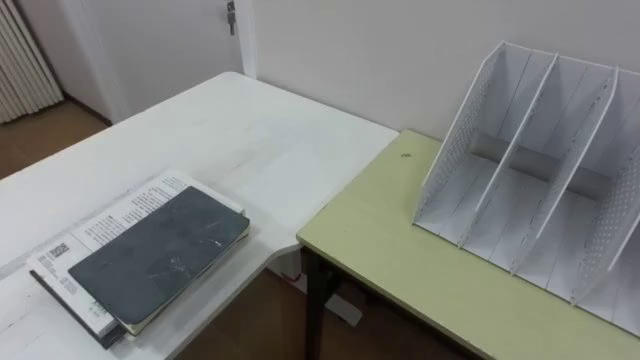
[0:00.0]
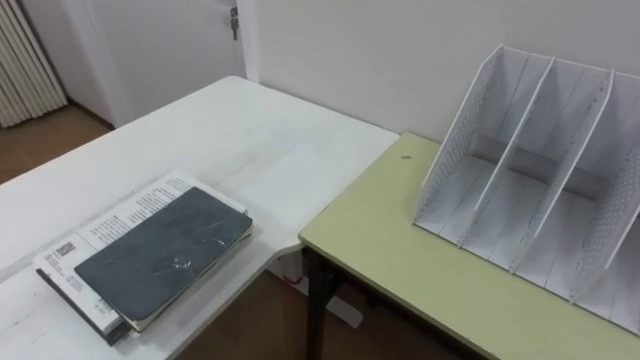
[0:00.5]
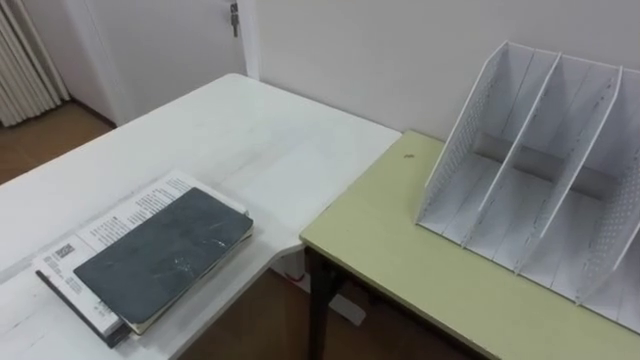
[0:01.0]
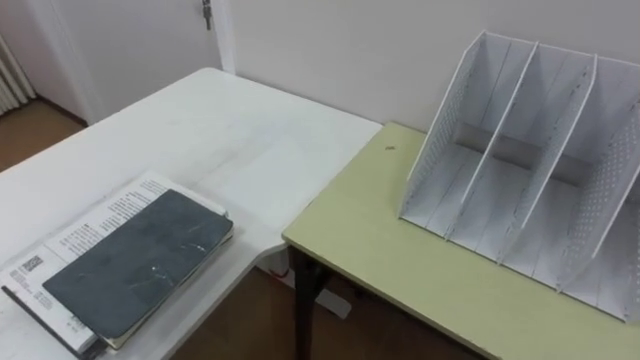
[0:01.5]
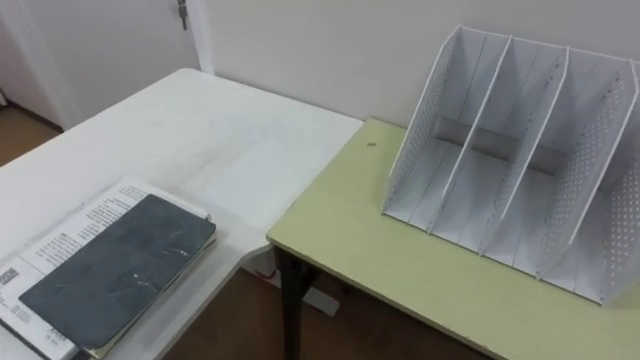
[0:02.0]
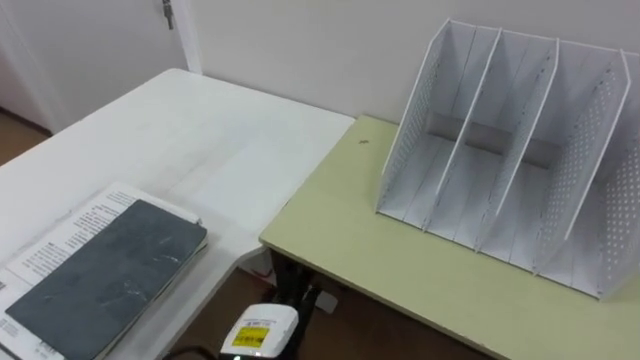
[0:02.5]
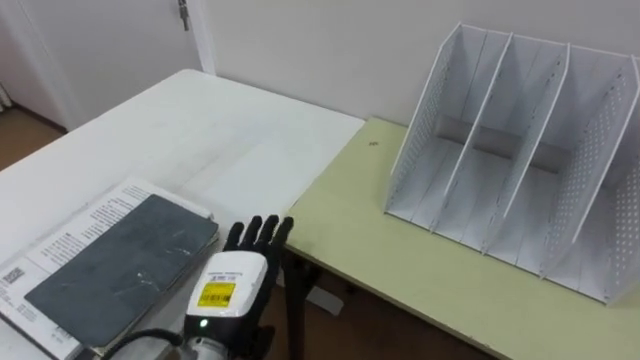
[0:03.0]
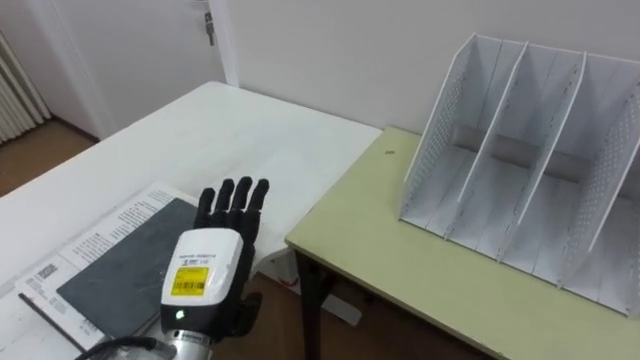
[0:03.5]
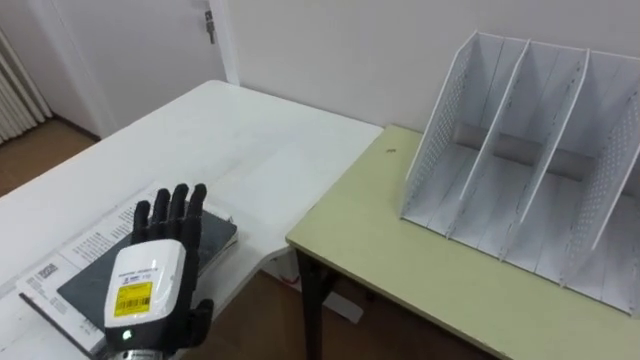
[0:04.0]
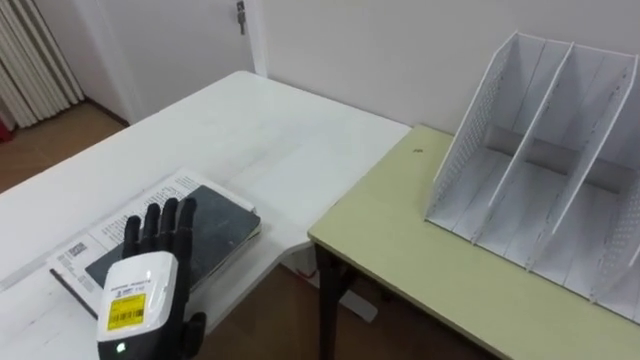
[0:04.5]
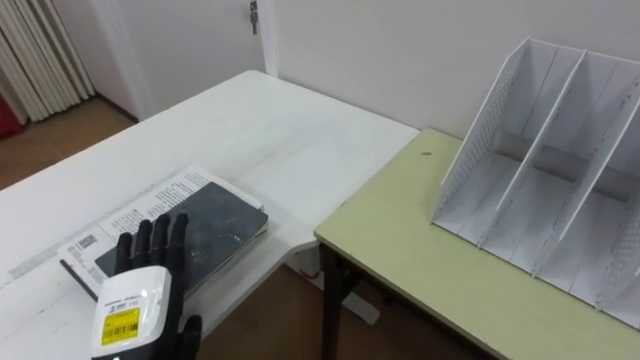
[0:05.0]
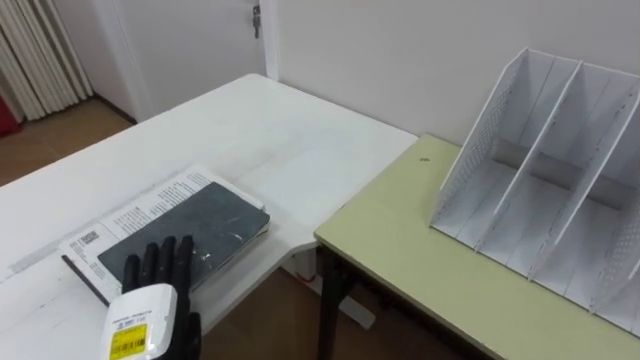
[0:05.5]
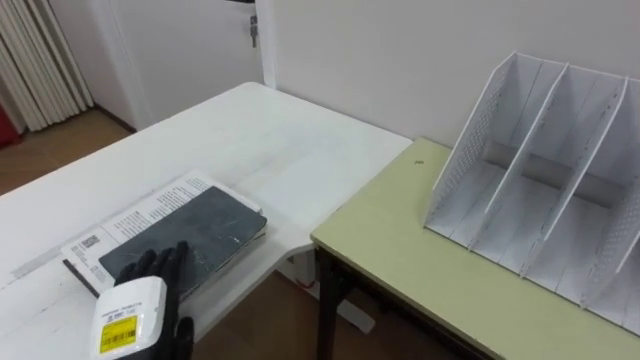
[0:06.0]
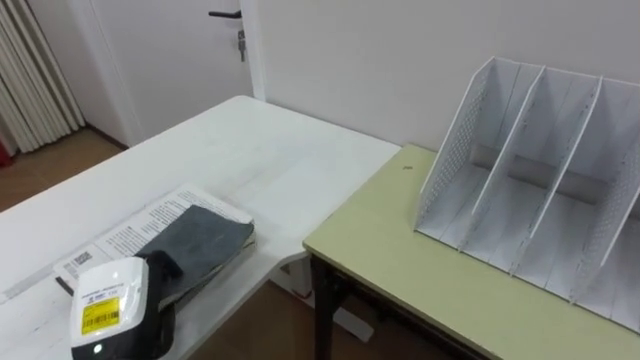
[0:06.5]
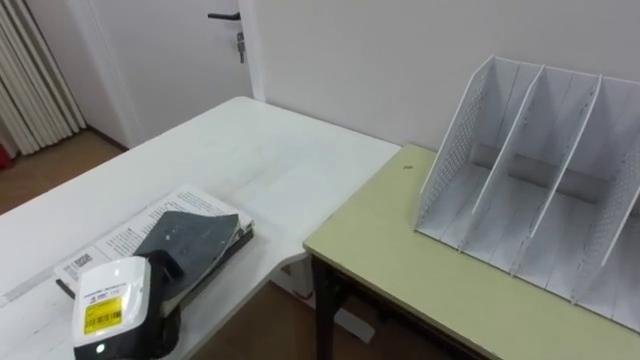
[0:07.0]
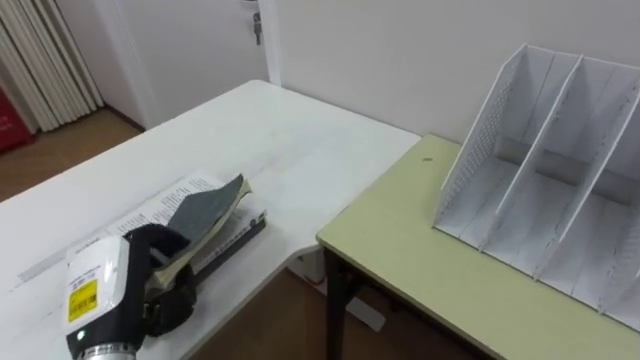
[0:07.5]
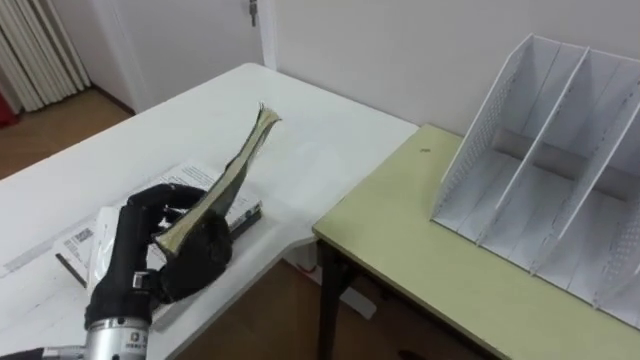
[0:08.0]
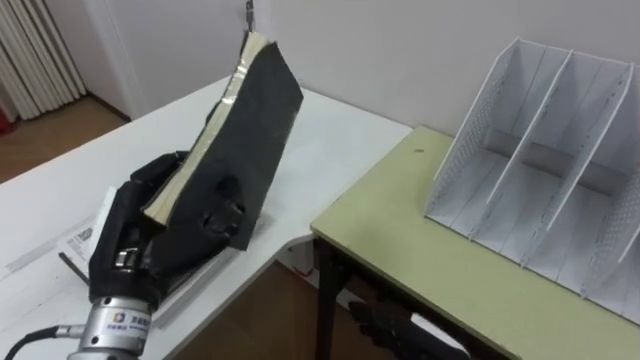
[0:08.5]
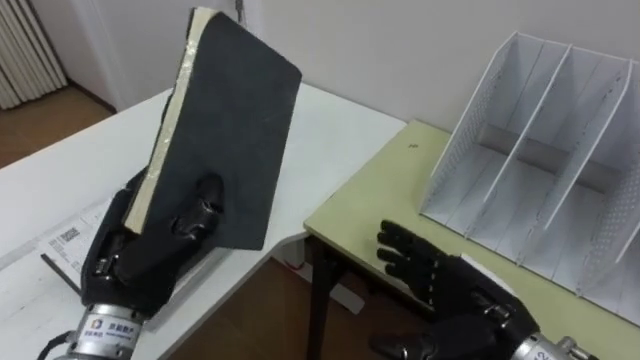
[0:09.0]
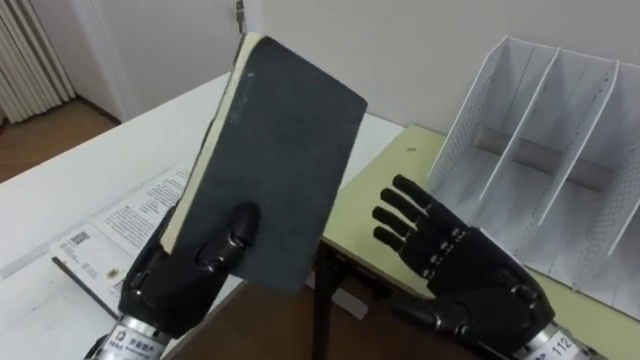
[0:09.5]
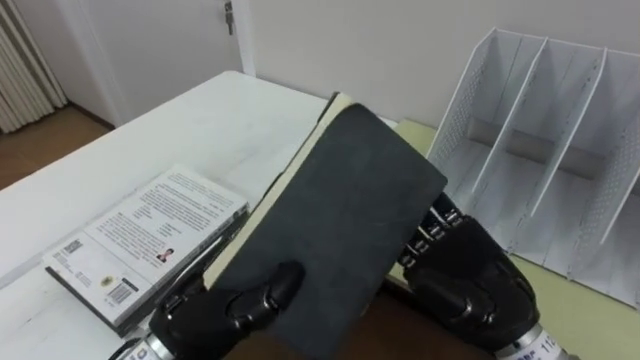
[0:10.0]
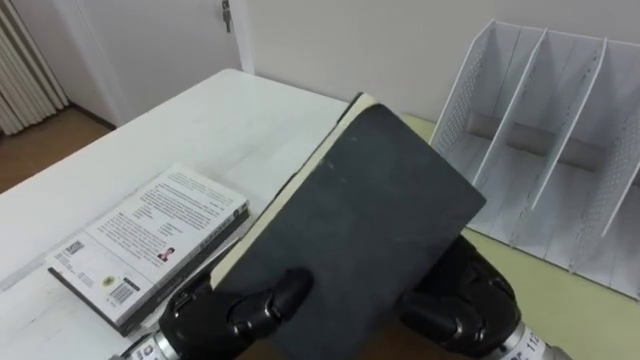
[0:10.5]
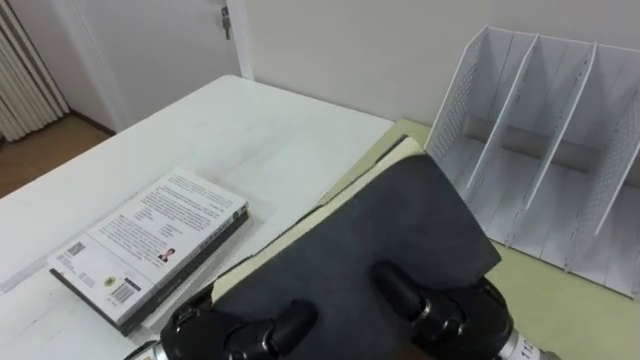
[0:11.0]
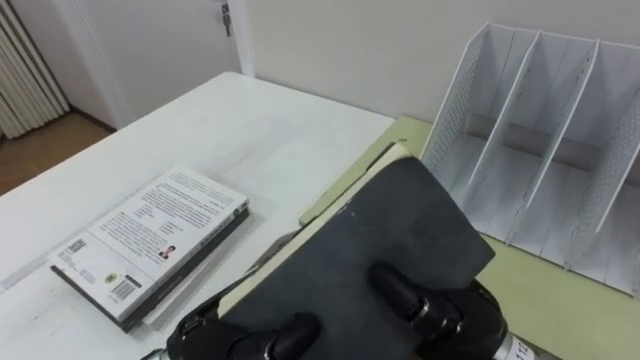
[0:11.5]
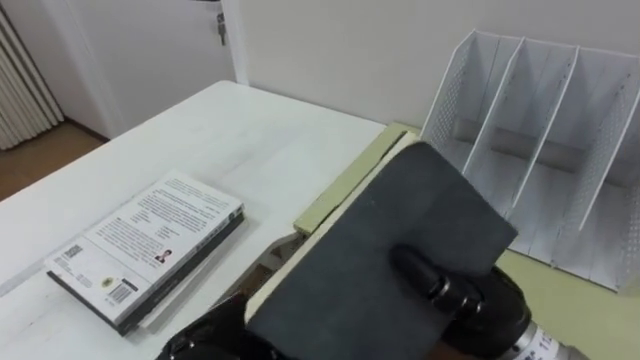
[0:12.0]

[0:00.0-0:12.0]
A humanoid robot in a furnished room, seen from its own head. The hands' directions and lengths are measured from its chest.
Task of the whole recording: Put the books on the table onto the bookshelf.
0:04.0 to 0:06.0: The left hand shifts some 5 cm downward.
0:06.0 to 0:08.0: The left hand heads upward, covering approximately 10 cm, and closes its fingers.
0:08.0 to 0:10.0: The left hand is displaced to the right by roughly 10 cm.
0:10.0 to 0:12.0: The right hand closes.

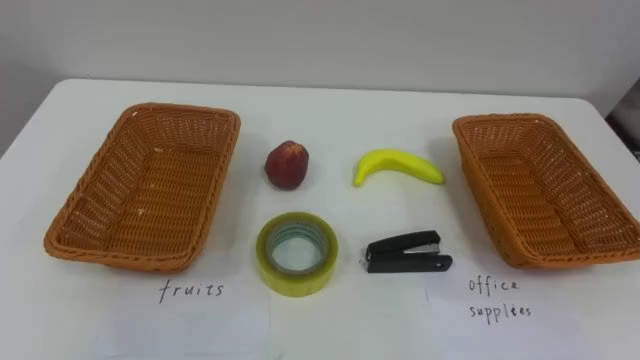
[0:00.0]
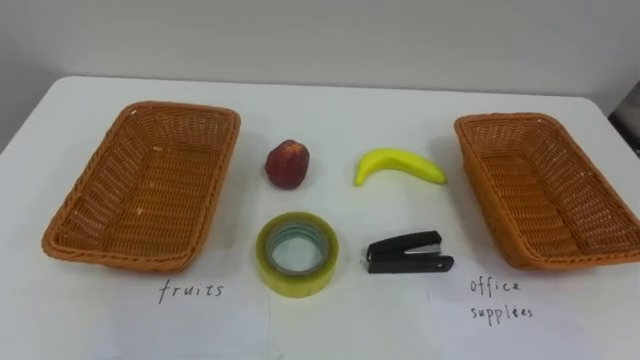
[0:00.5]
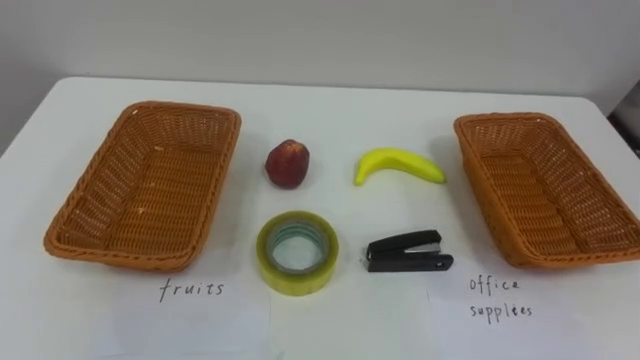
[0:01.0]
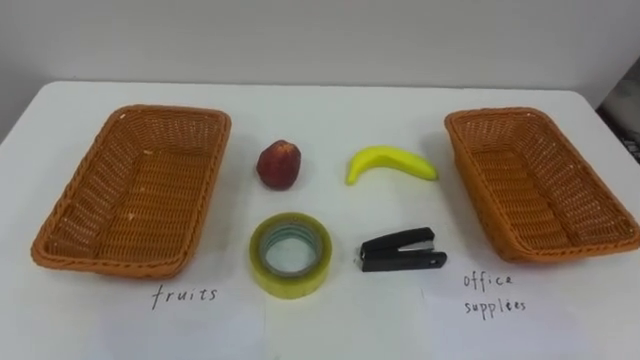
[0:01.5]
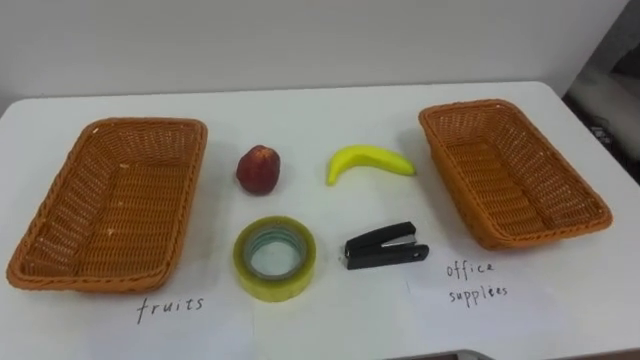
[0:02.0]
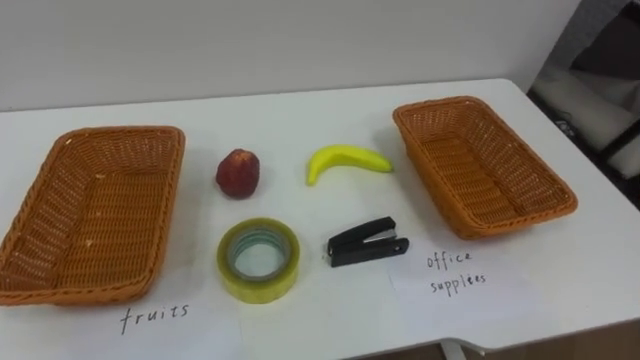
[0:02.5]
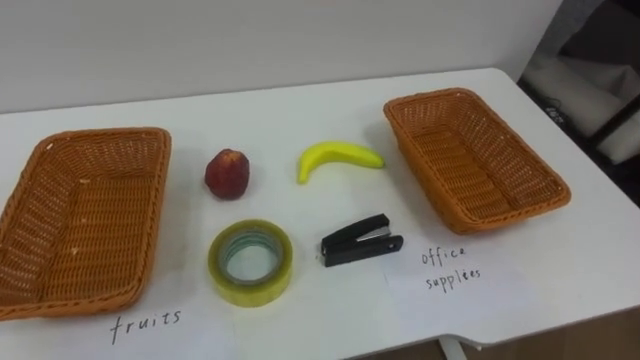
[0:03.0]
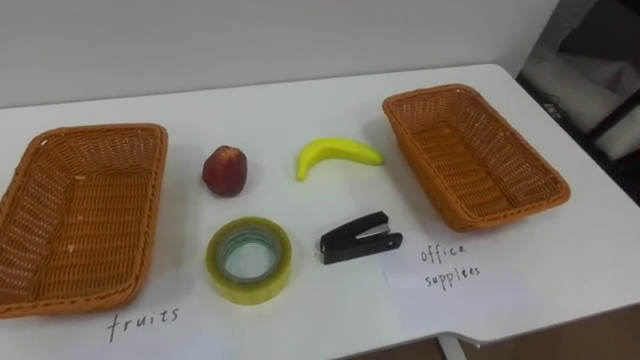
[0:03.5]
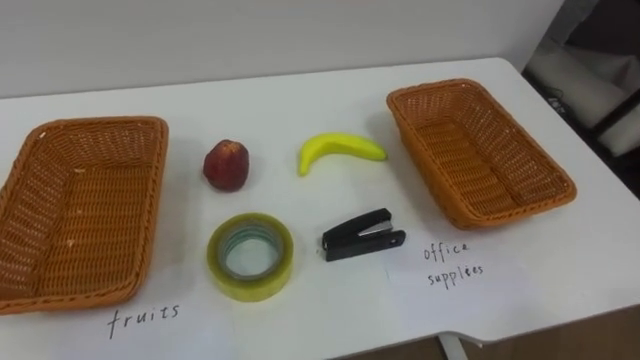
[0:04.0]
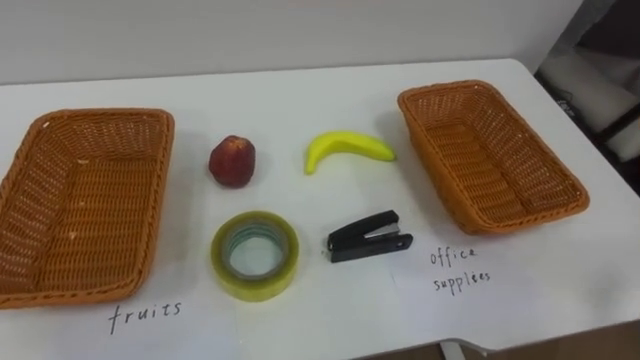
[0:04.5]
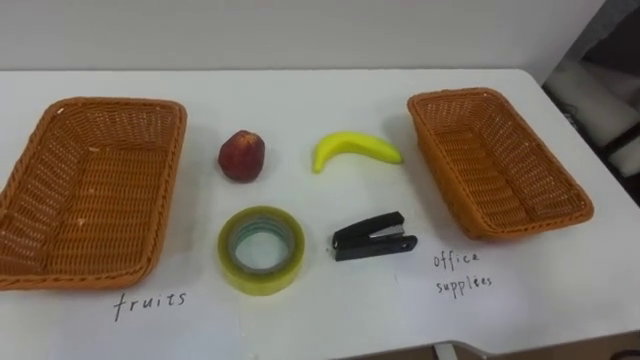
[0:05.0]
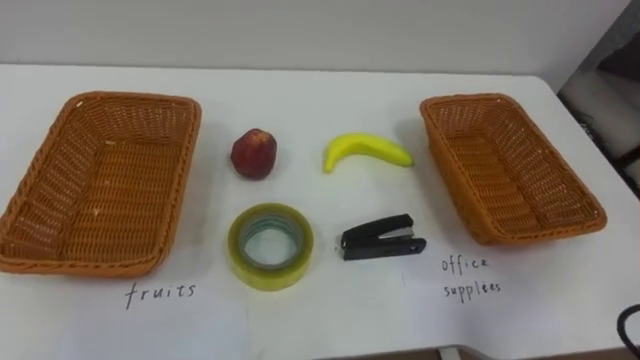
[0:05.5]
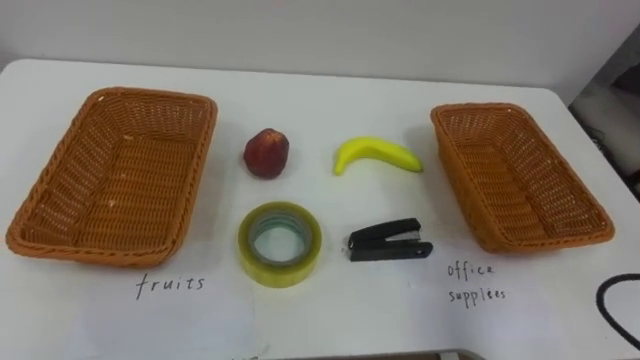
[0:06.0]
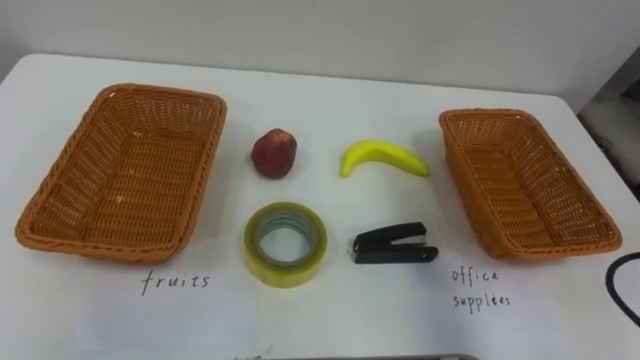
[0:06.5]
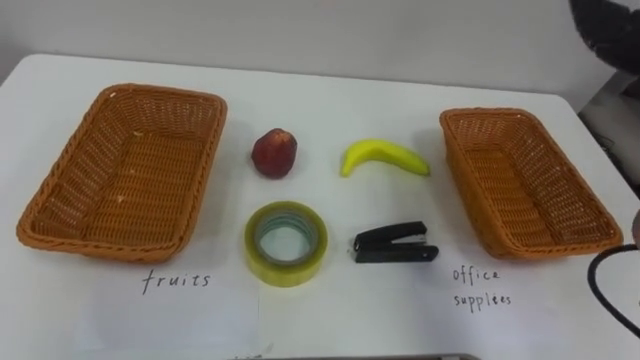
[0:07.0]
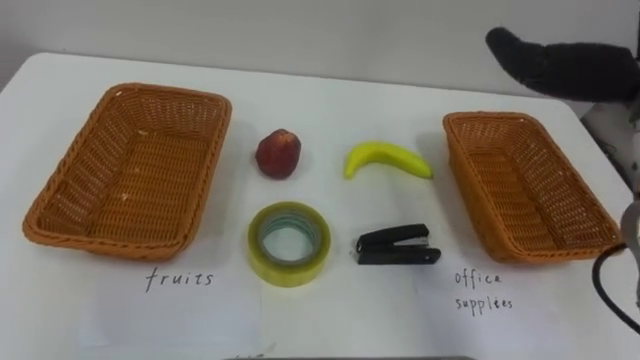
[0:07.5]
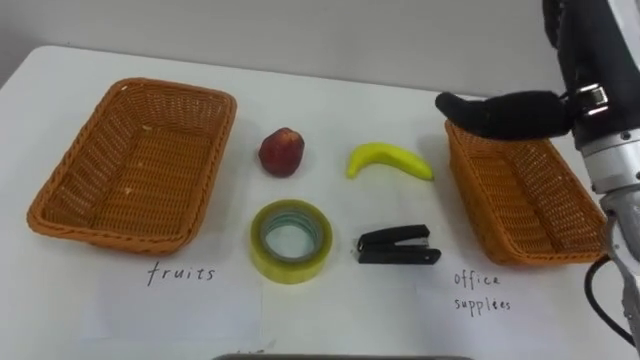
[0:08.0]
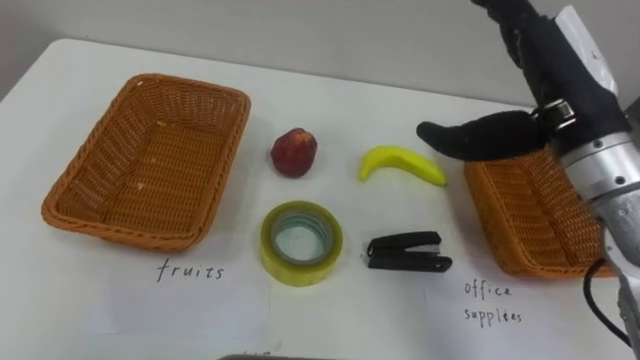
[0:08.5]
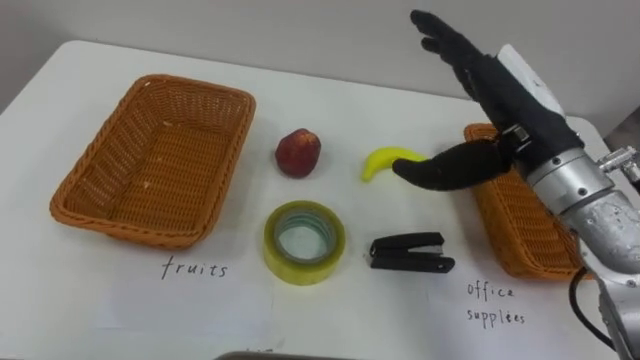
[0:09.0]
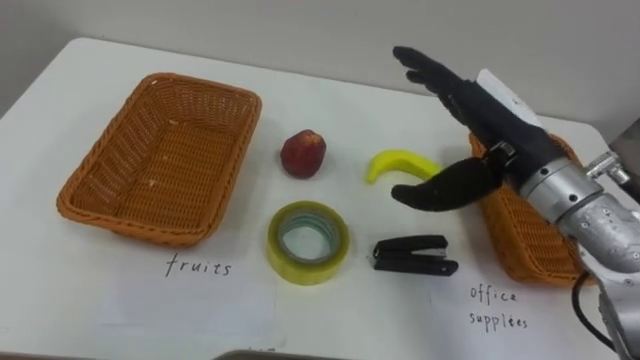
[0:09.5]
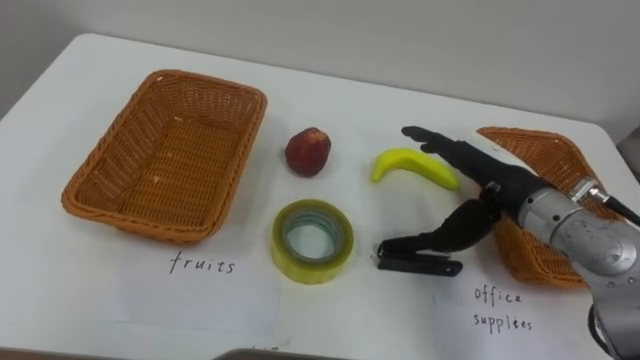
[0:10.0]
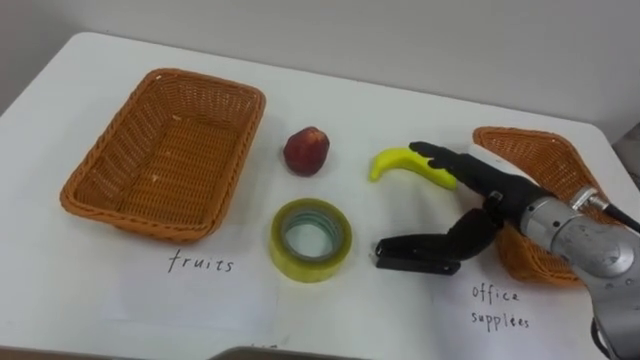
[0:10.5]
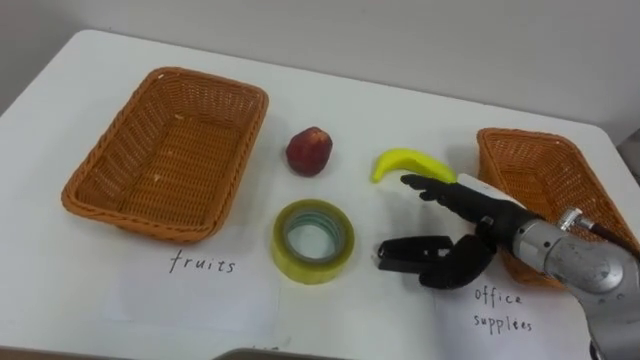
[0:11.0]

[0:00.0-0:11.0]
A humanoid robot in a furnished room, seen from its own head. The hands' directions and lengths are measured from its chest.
Task of the whole recording: Separate the items on the table and place them into the two baskets.
0:09.0 to 0:11.0: The right hand heads downward, covering about 15 cm.
